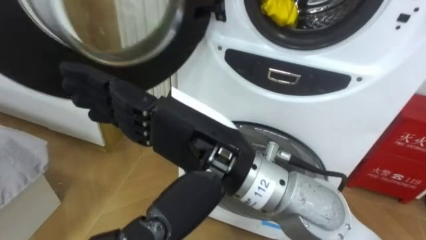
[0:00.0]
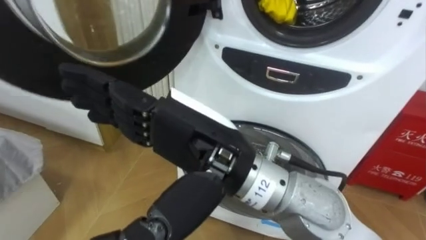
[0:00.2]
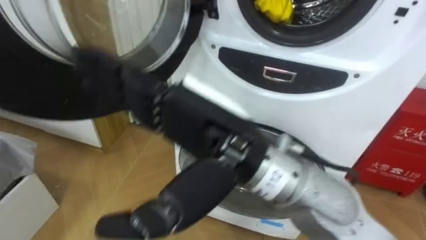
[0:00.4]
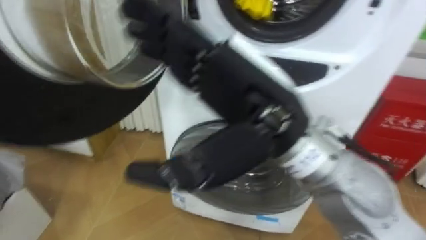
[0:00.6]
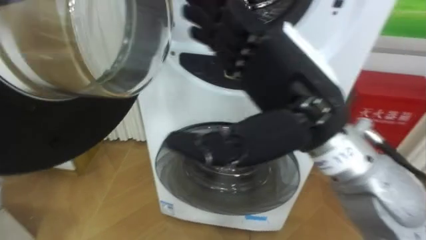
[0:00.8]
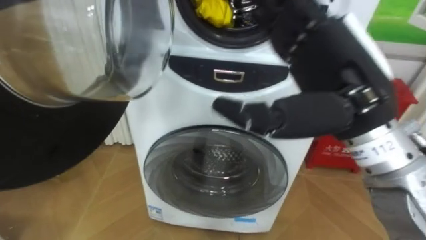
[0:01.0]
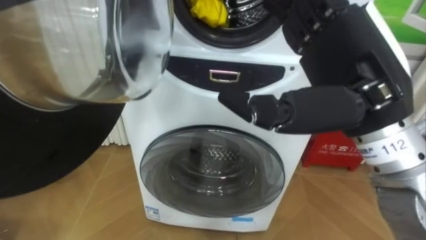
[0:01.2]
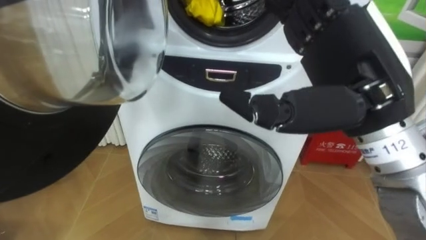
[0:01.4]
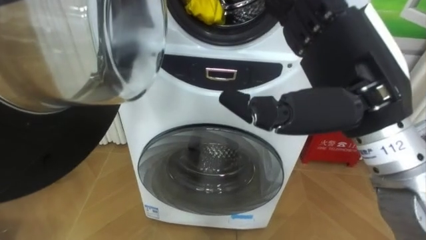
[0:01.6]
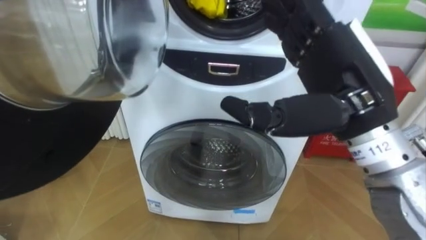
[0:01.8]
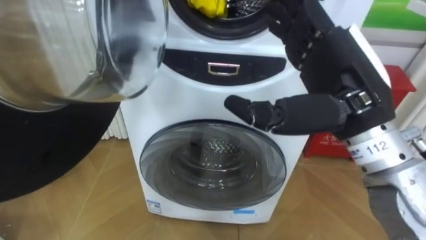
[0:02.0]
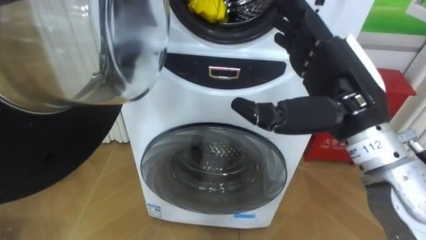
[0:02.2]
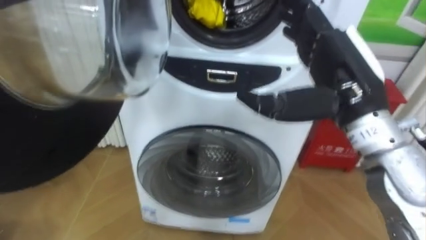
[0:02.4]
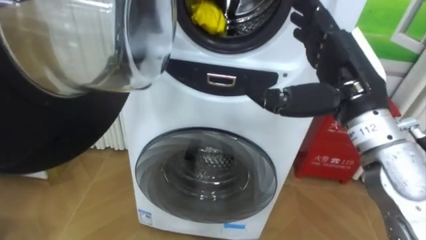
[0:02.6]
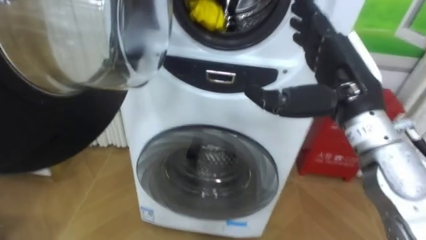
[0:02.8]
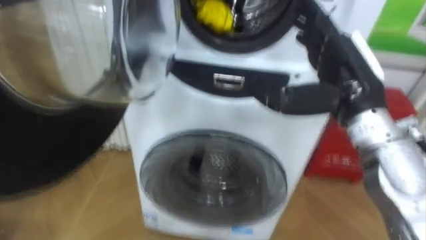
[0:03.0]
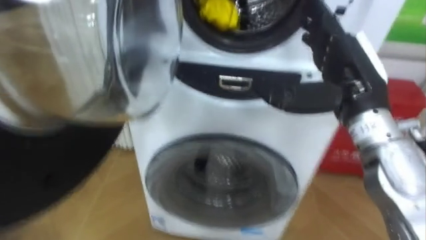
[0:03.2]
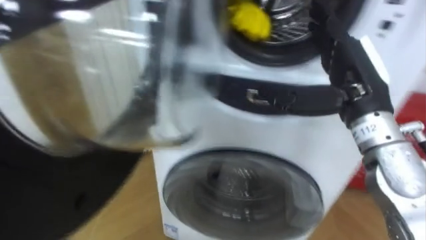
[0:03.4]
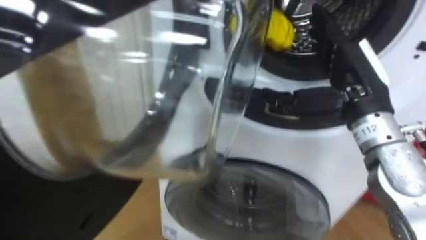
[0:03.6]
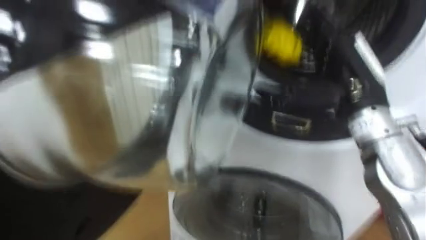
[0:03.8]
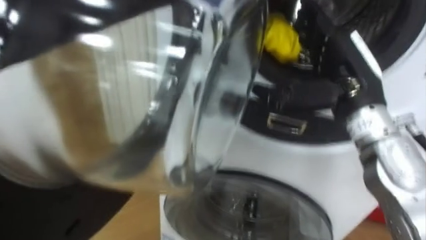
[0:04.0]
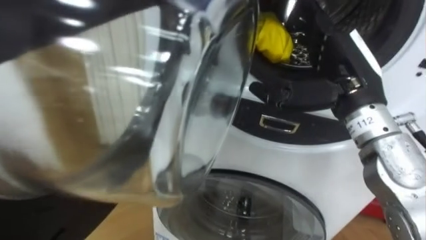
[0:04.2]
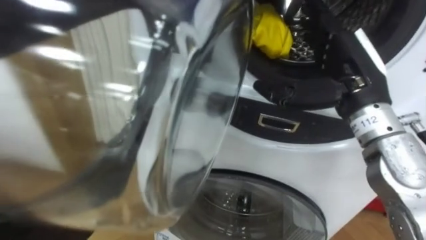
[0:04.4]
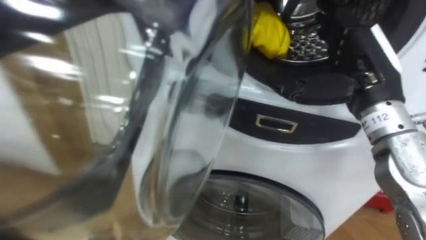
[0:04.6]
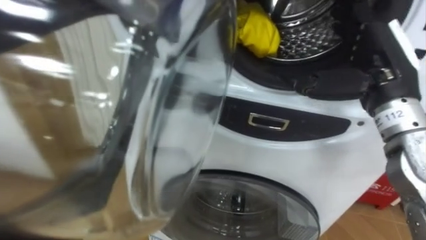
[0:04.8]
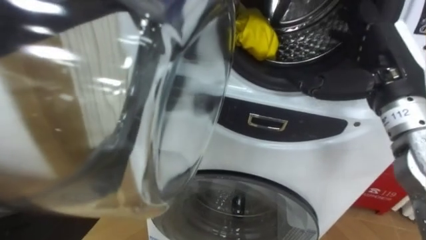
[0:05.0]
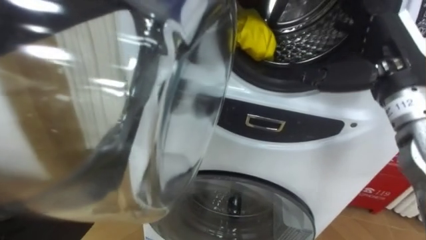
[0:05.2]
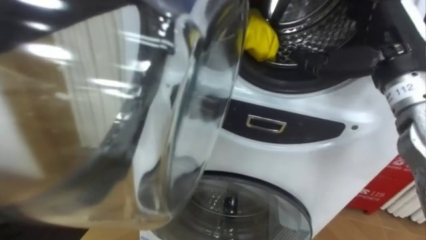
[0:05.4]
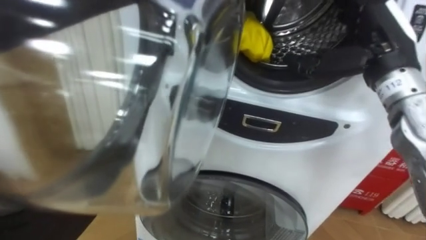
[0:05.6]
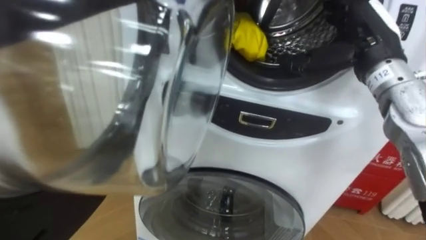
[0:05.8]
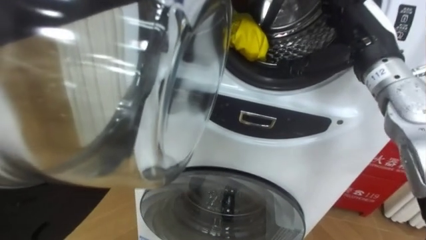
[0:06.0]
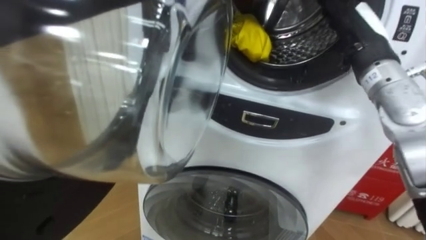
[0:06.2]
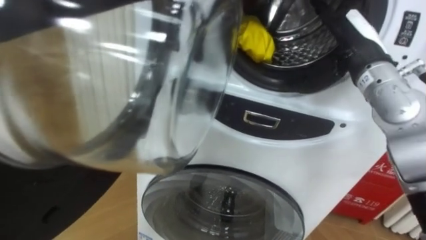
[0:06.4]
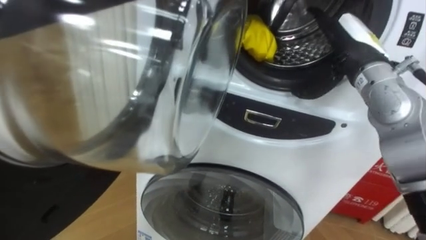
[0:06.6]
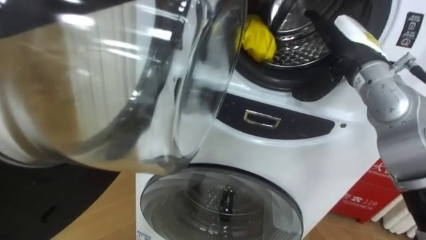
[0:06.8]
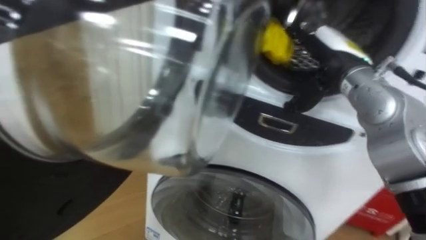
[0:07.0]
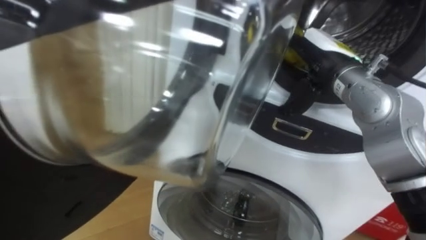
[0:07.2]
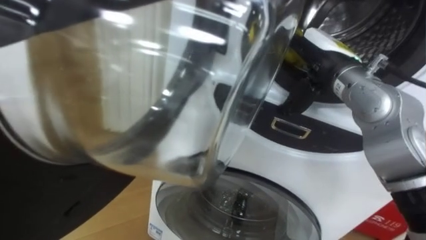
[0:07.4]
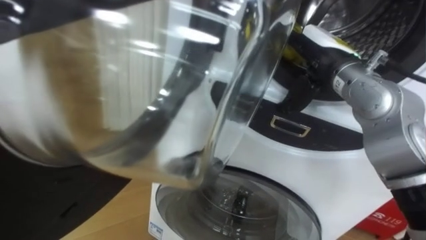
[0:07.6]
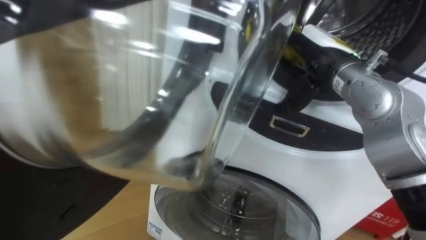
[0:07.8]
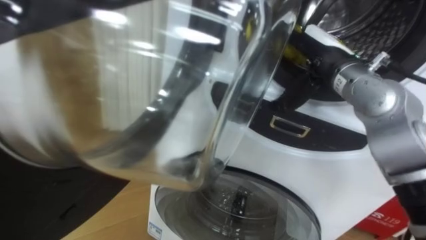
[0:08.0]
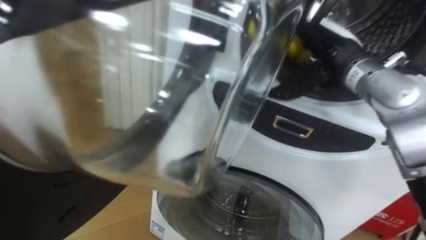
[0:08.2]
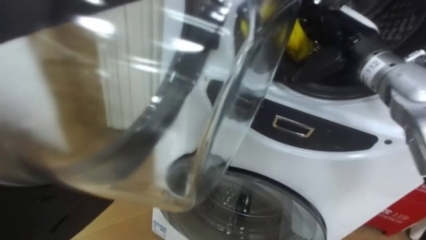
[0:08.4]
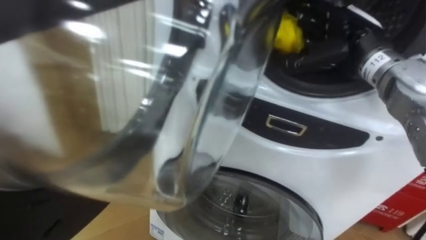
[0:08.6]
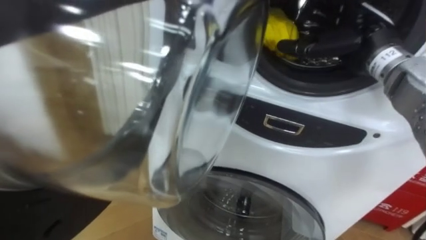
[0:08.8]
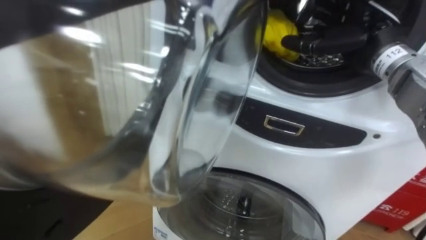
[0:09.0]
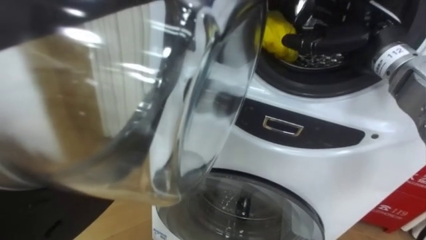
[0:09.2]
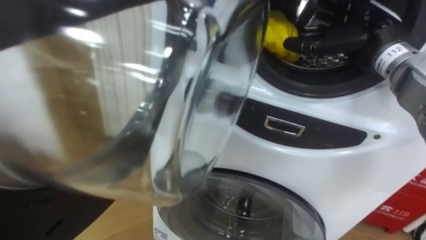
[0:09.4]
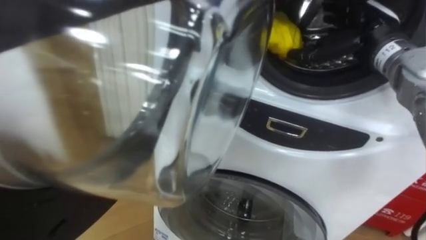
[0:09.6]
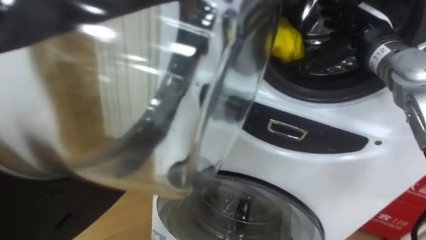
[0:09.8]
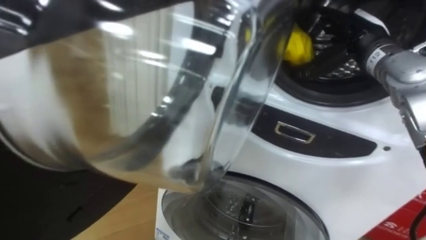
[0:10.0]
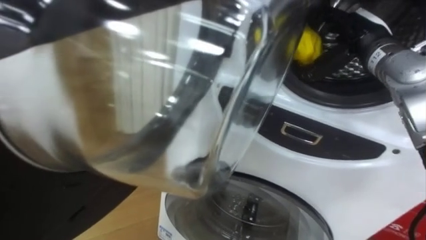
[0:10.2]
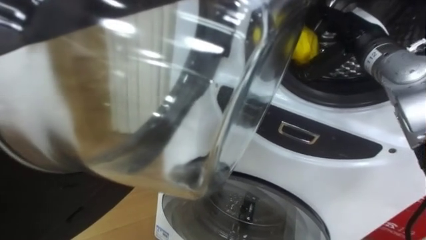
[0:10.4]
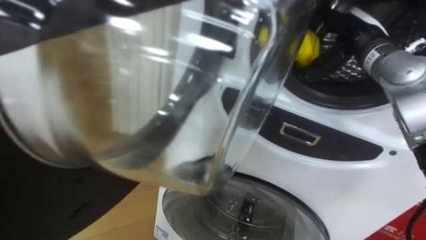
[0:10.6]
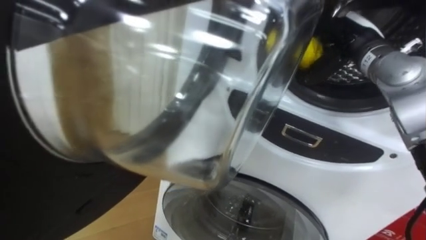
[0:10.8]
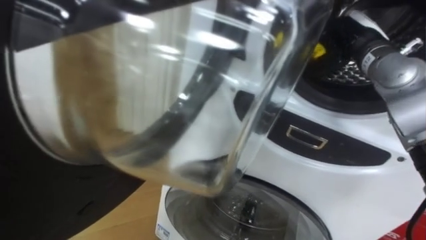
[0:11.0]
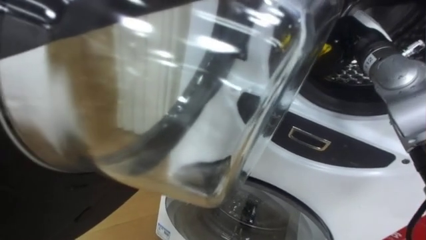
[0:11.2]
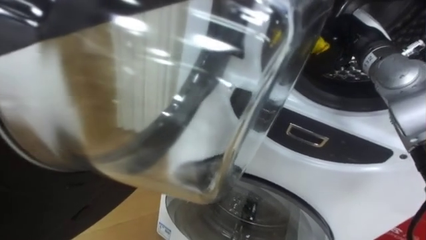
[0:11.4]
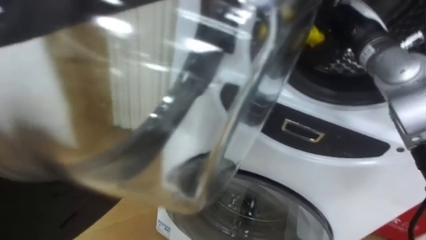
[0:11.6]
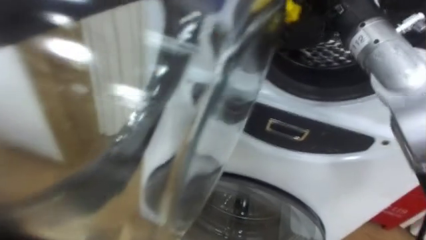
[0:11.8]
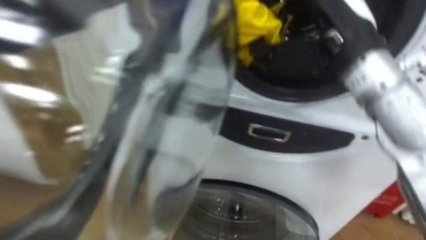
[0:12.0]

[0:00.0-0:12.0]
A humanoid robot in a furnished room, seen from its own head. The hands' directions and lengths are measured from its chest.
Task of the whole recording: Open the washing machine door, take out the yellow clothes, place them in the box on the right, and close the washing machine door.
0:00.0 to 0:01.6: The right hand is displaced to the right by some 15 cm.
0:01.6 to 0:03.0: The right hand goes roughly 10 cm forward and downward.
0:04.4 to 0:06.0: The right hand moves forward, about 5 cm.
0:06.0 to 0:07.6: The right hand changes place by approximately 5 cm.
0:07.6 to 0:09.0: The right hand is displaced to the right by some 5 cm.
0:10.4 to 0:12.0: The right hand shifts about 15 cm backward, to the left and upward, and closes.

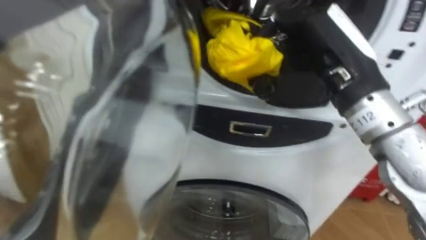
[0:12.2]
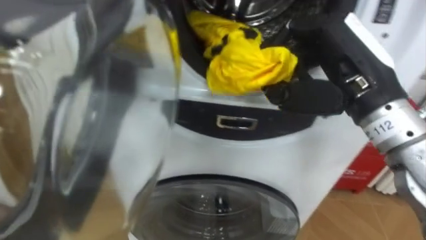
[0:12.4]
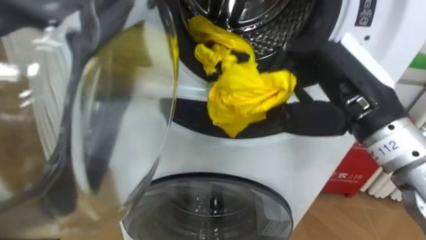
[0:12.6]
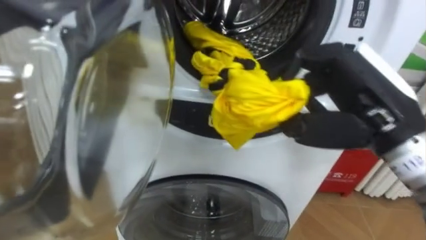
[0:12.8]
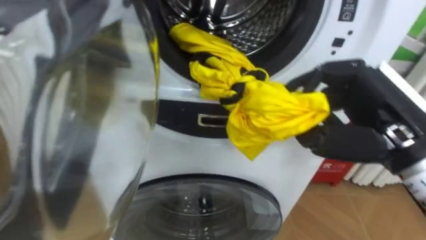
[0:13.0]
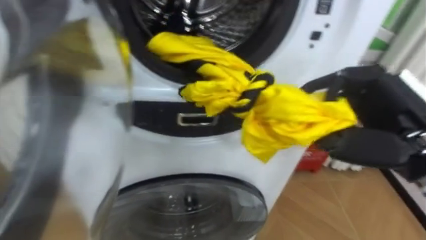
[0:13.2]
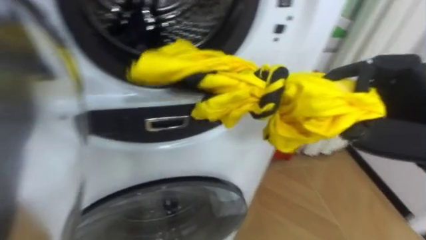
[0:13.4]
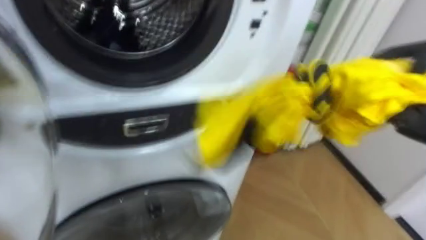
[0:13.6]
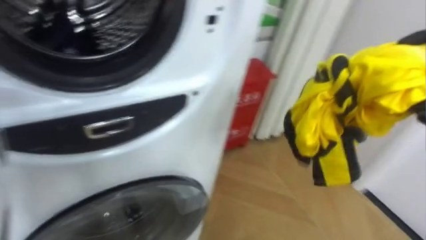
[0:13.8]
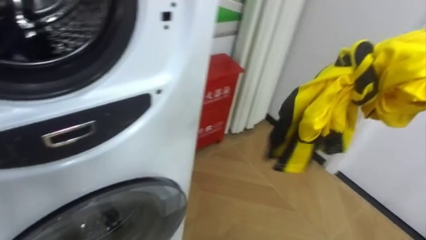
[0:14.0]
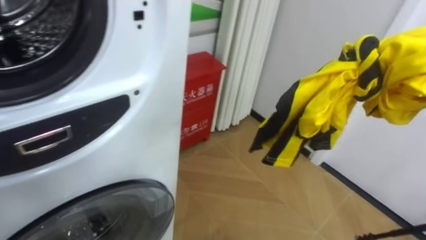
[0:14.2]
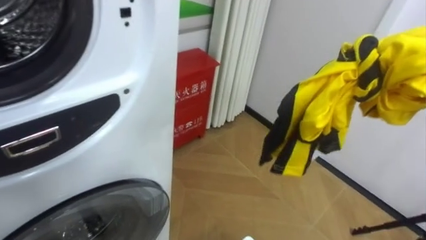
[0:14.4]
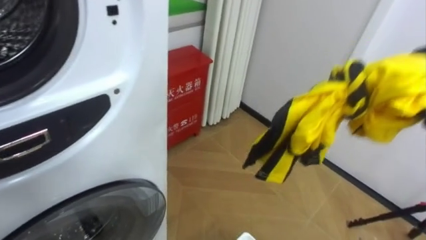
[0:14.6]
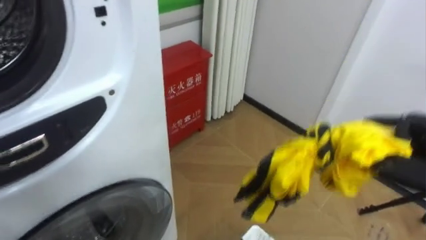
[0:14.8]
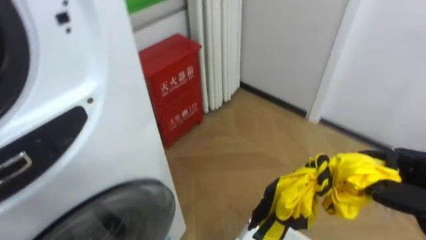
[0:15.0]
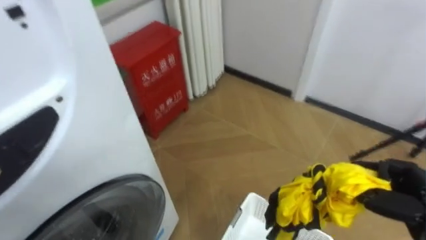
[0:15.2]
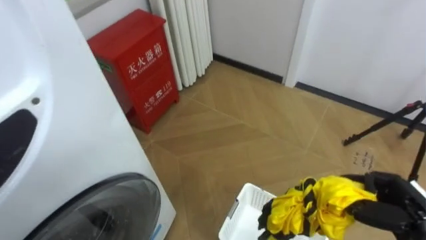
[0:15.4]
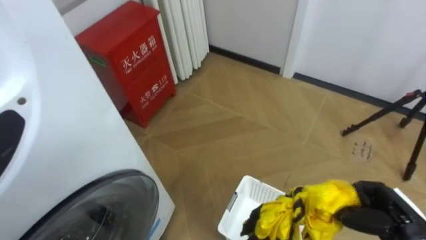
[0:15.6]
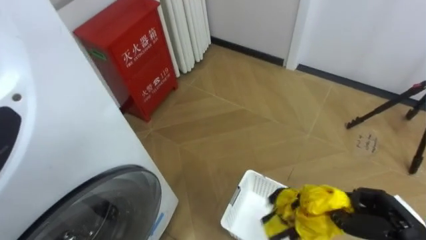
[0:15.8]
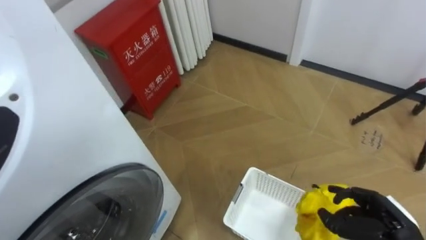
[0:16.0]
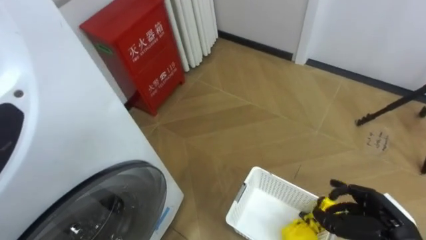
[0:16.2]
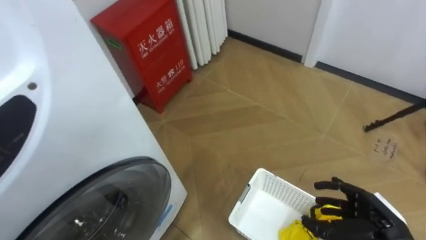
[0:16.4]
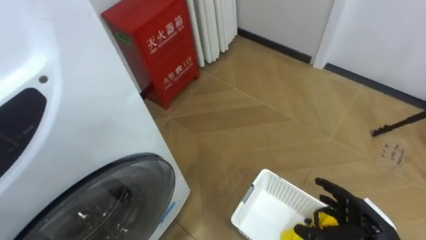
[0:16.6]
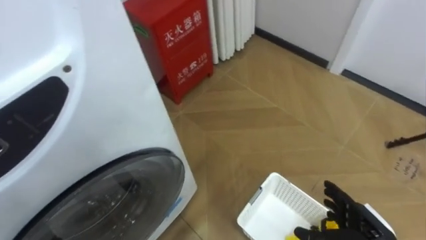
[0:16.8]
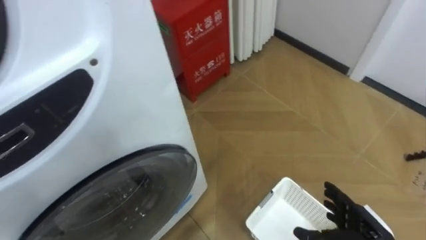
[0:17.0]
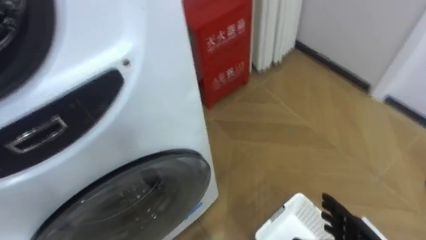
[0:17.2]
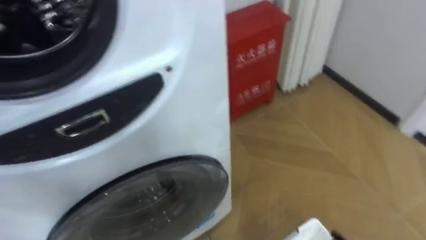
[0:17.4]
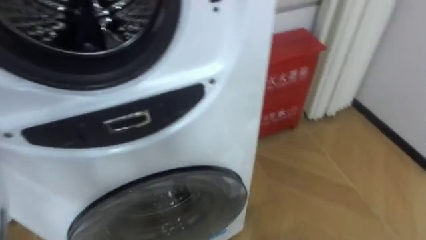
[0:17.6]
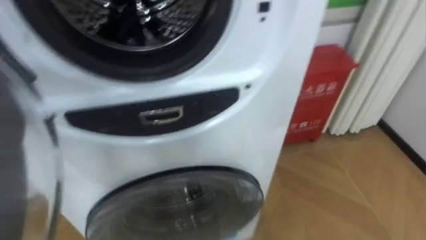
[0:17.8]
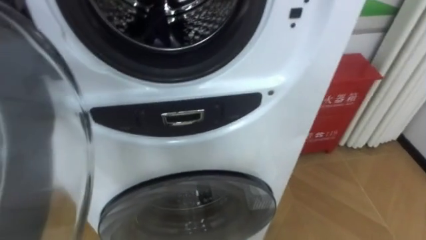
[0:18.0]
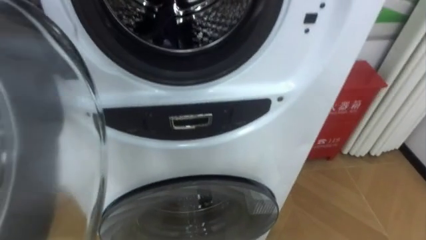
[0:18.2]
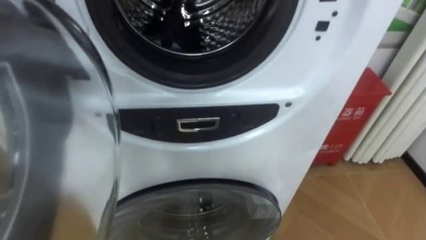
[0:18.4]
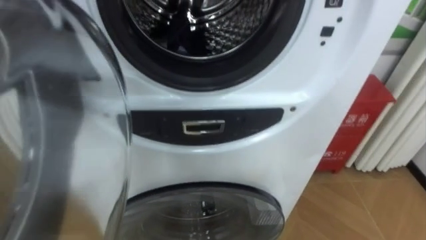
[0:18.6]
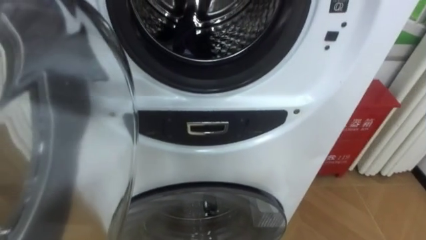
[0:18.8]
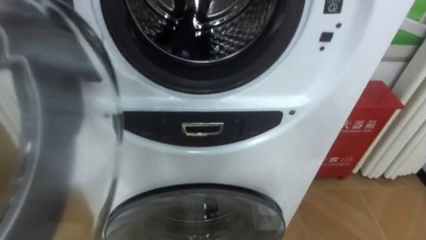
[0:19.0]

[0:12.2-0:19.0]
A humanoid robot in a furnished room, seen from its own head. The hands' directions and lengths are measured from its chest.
Task of the whole recording: Open the washing machine door, take out the yellow clothes, place them in the box on the right, and close the washing machine door.
0:13.6 to 0:15.0: The robot turns to its right by roughly 20 degrees.
0:16.2 to 0:17.6: The robot rotates about 25 degrees to its left.
